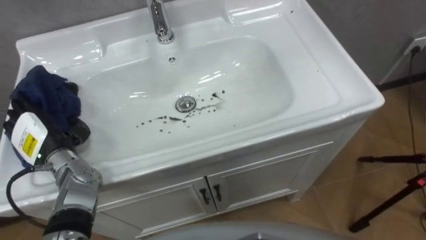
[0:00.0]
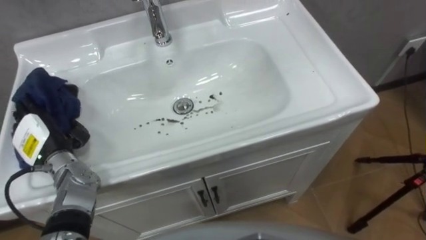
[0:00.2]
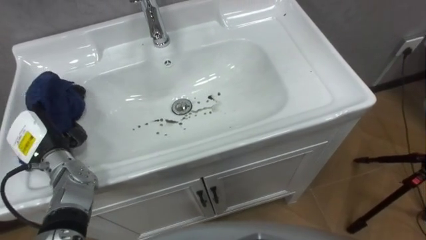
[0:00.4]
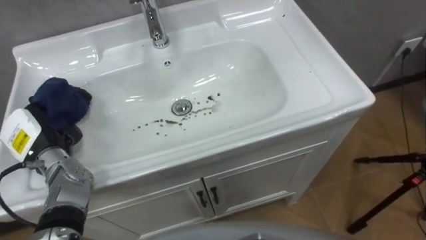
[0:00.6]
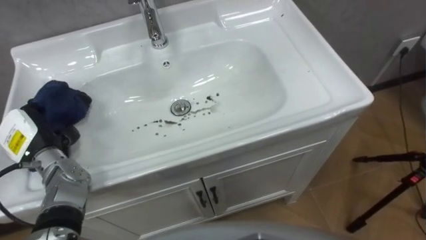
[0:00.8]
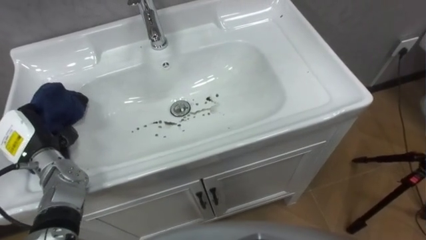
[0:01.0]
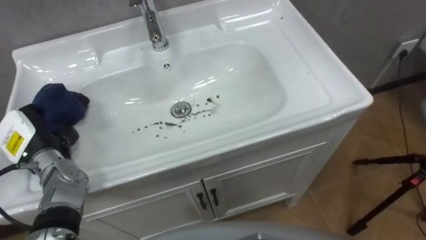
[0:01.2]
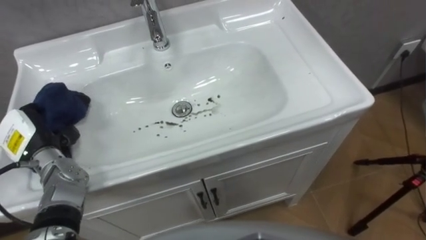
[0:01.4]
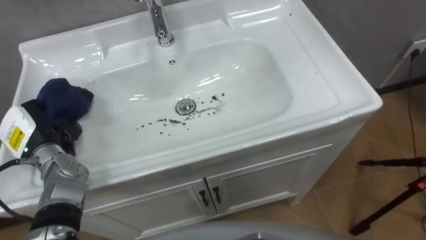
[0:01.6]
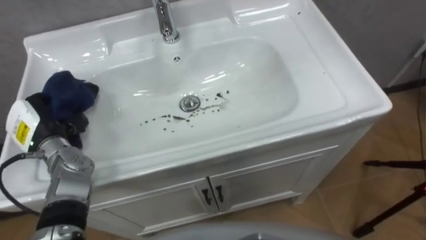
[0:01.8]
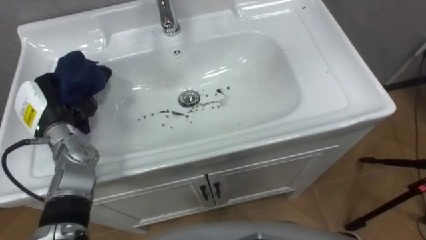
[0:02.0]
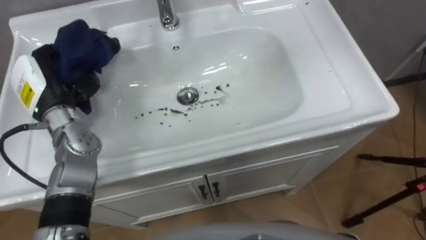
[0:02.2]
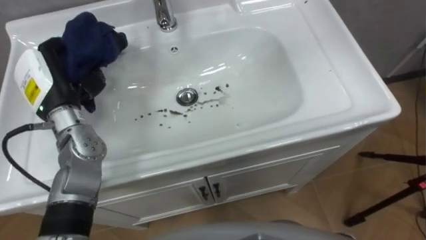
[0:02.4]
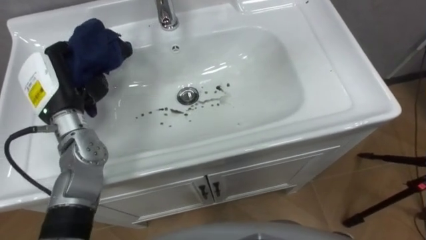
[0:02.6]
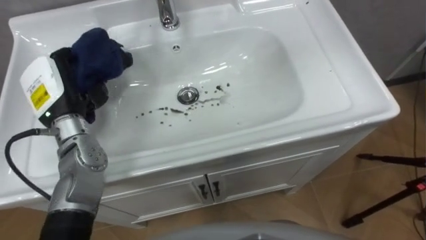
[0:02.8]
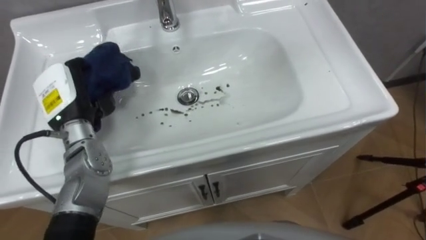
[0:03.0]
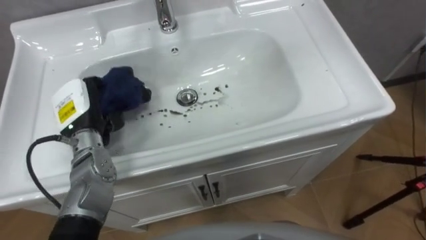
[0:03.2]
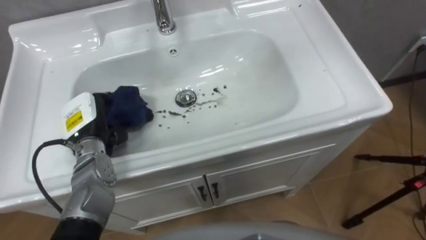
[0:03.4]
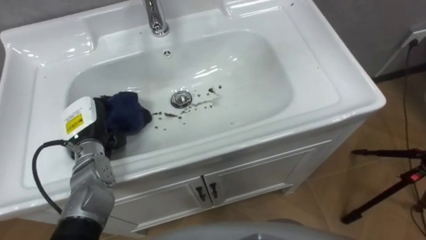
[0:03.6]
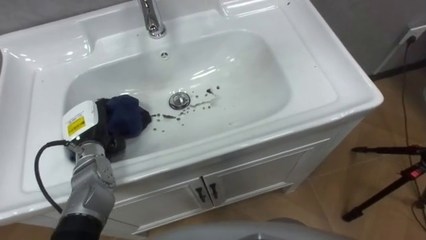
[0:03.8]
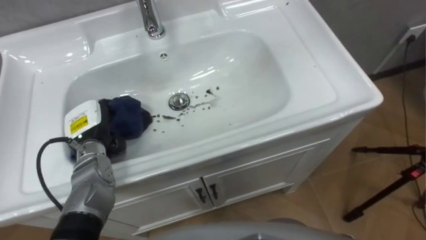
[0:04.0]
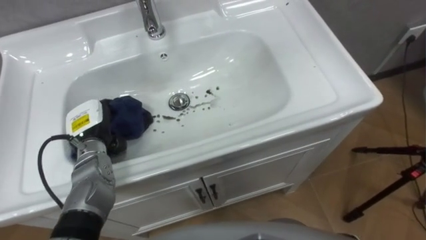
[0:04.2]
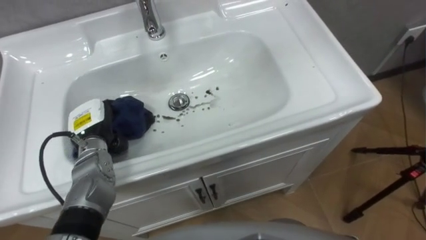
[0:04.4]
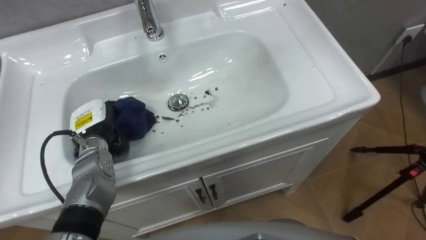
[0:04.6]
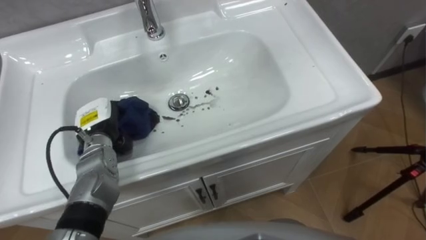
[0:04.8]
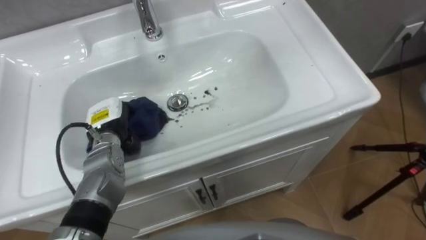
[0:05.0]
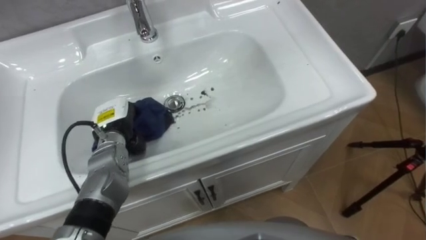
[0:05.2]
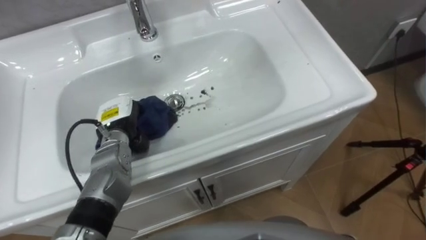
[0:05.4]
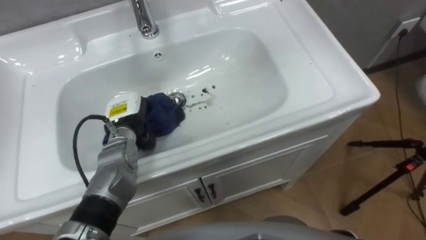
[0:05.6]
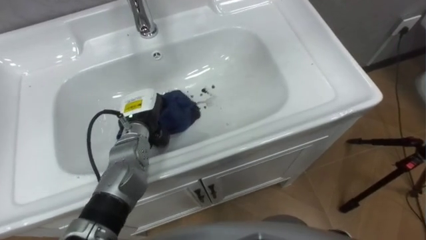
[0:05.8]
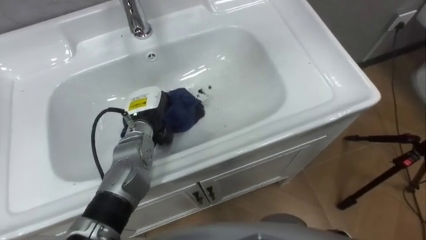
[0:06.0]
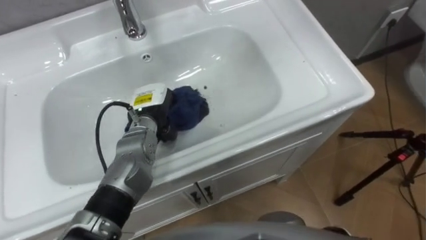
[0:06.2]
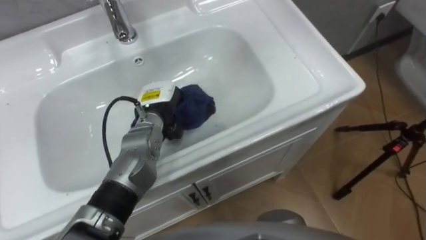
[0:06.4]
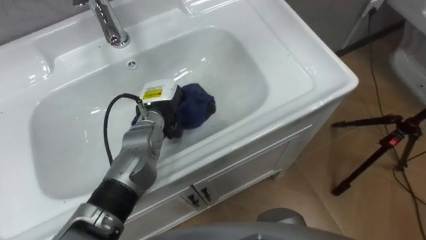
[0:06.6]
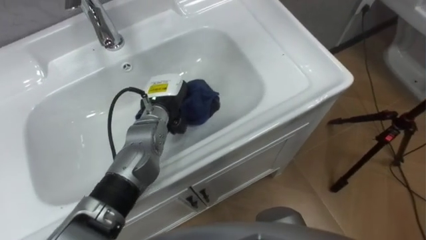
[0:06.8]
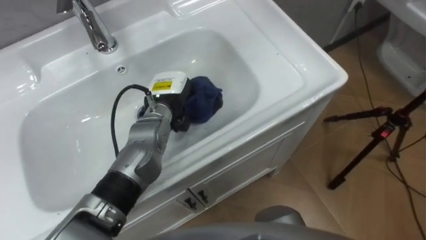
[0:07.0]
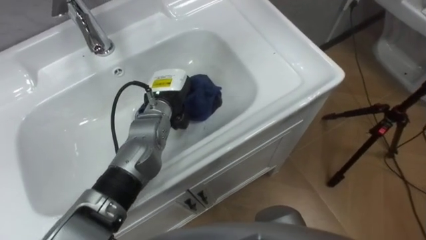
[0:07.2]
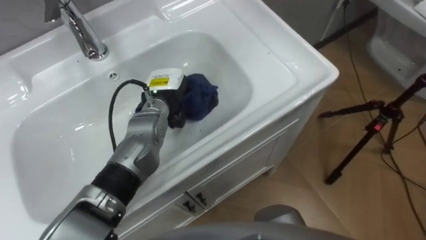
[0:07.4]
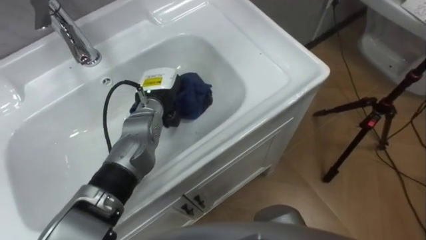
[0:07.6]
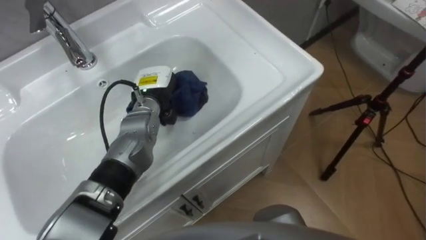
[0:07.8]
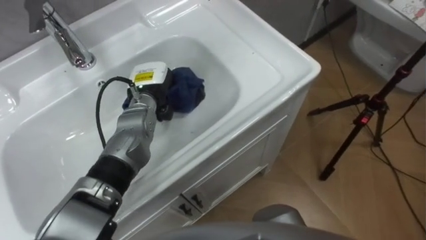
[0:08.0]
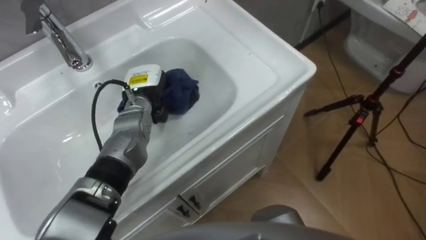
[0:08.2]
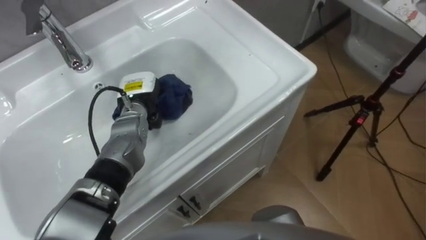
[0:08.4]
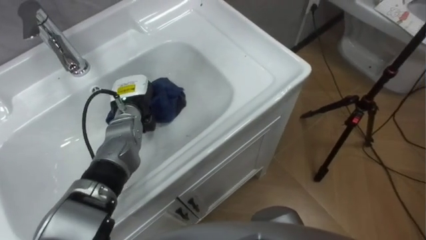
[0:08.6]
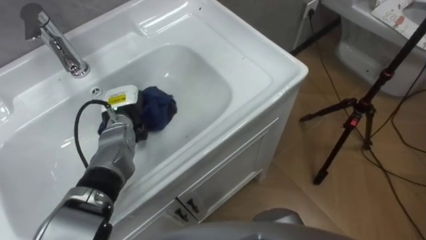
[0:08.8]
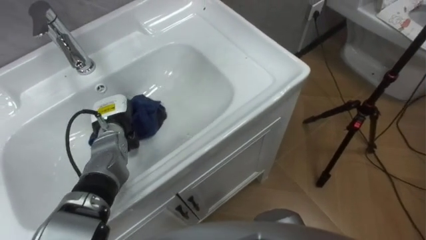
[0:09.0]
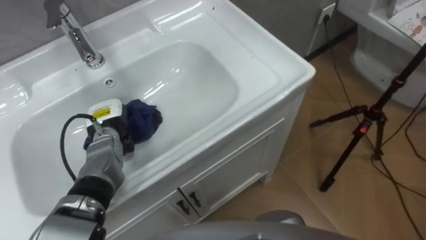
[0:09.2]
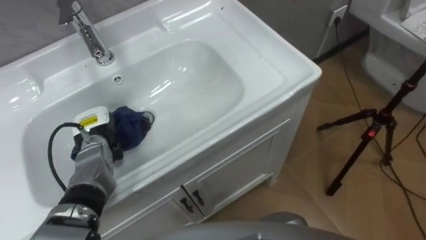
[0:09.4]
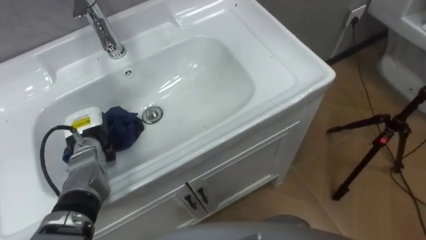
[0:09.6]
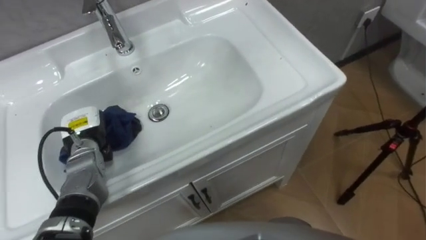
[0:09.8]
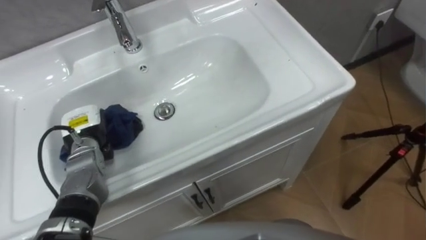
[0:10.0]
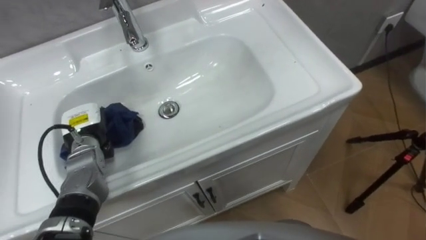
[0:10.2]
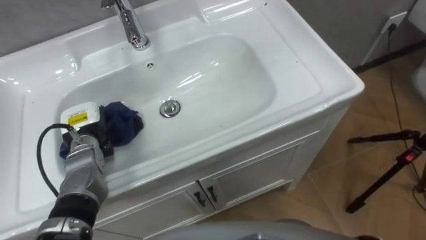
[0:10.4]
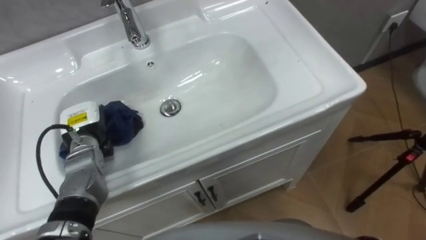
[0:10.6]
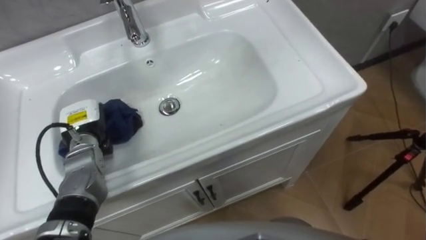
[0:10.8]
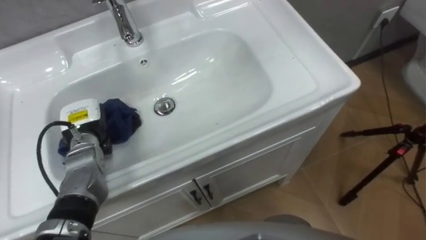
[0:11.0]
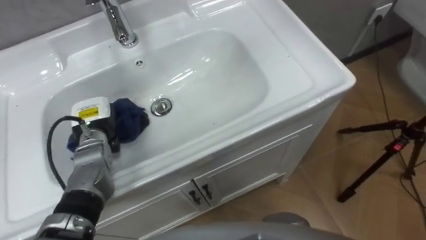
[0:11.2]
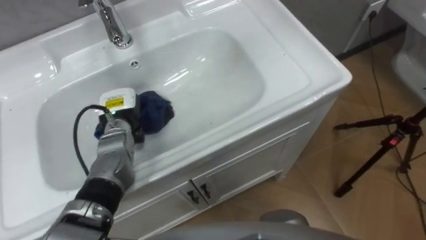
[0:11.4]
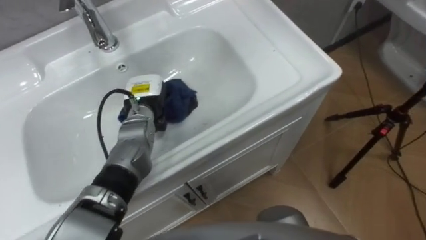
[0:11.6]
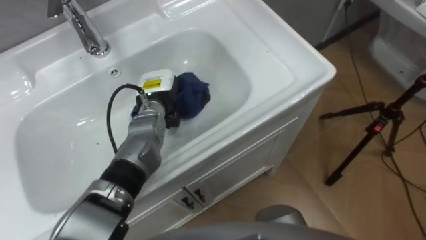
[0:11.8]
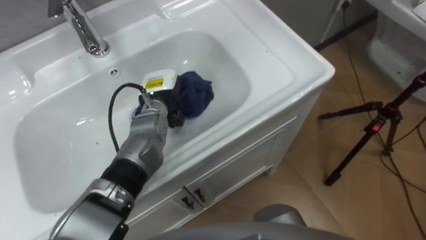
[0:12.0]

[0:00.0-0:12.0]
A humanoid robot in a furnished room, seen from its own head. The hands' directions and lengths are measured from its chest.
Task of the whole recording: Use the cloth on the right to wipe away the black stain in the sink.
0:00.0 to 0:01.6: The left hand closes.
0:01.6 to 0:03.0: The left hand shifts some 10 cm to the right and upward.
0:03.0 to 0:04.4: The left hand heads downward, covering roughly 10 cm.
0:04.4 to 0:06.0: The left hand travels to the right by approximately 10 cm.
0:06.0 to 0:07.6: The left hand shifts by roughly 5 cm.
0:07.6 to 0:09.0: The left hand travels to the left and downward by about 10 cm.
0:09.0 to 0:10.4: The left hand is displaced to the left by about 5 cm.
0:10.4 to 0:12.0: The left hand is displaced to the right and forward by approximately 20 cm.

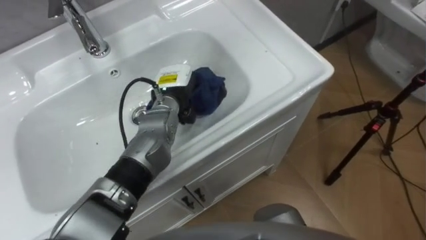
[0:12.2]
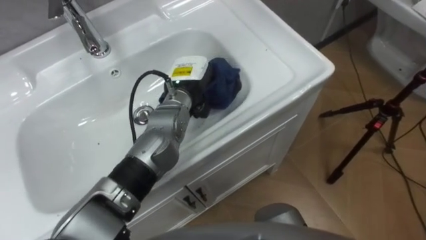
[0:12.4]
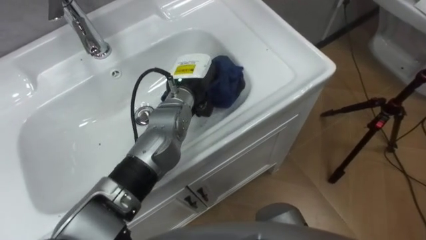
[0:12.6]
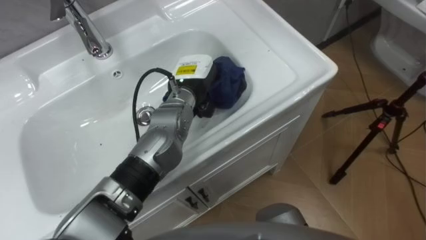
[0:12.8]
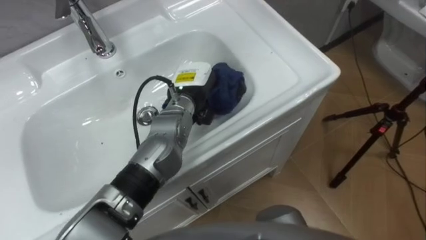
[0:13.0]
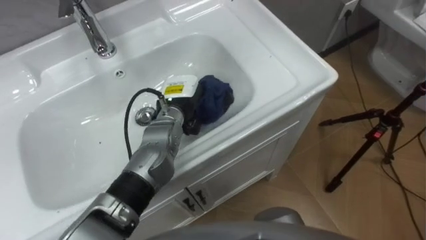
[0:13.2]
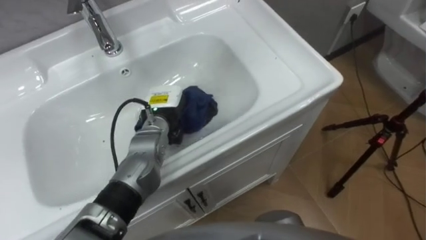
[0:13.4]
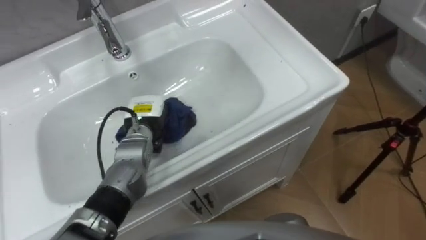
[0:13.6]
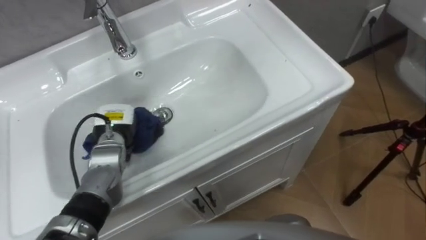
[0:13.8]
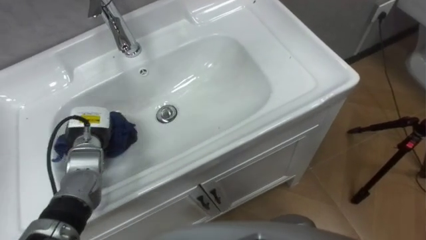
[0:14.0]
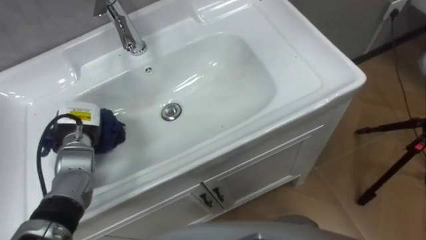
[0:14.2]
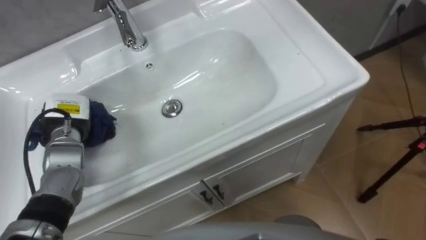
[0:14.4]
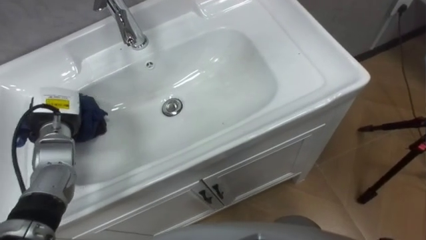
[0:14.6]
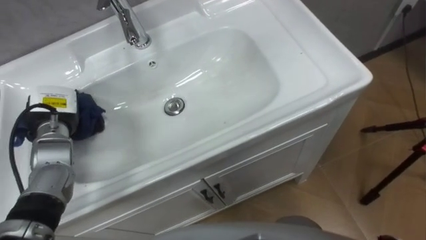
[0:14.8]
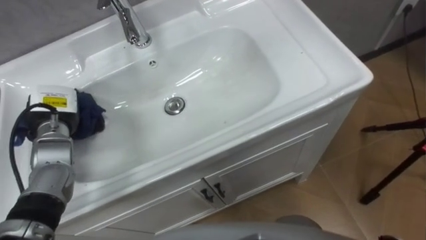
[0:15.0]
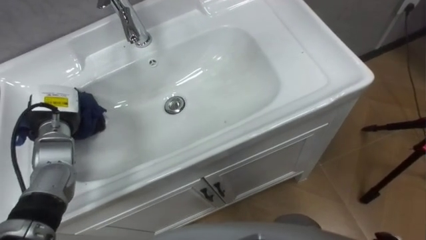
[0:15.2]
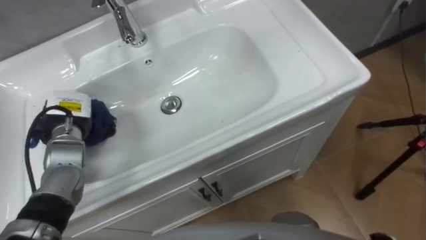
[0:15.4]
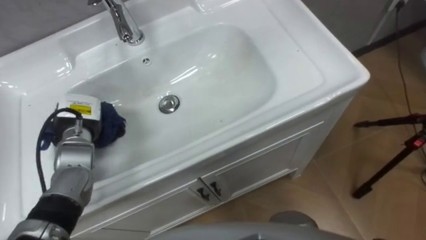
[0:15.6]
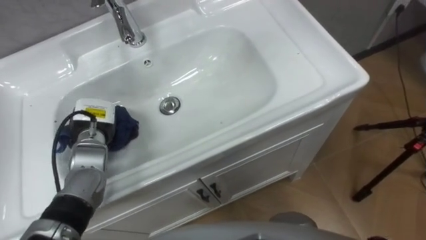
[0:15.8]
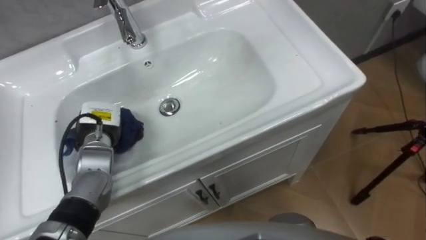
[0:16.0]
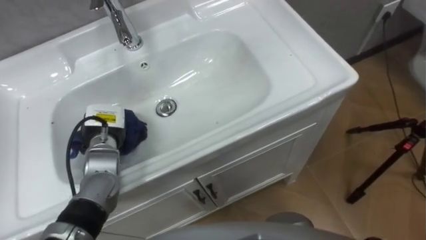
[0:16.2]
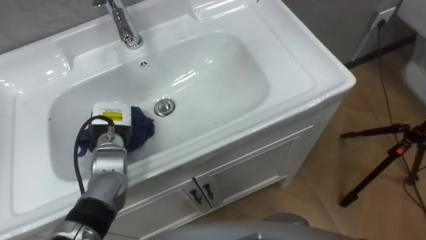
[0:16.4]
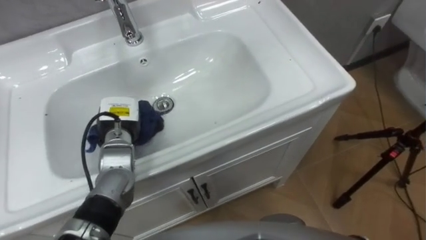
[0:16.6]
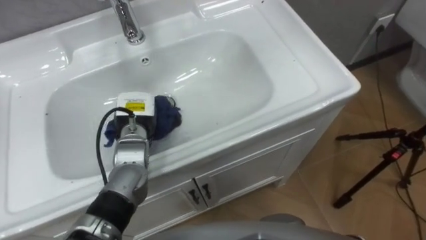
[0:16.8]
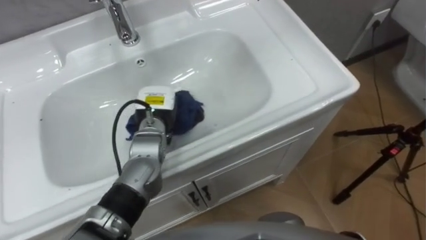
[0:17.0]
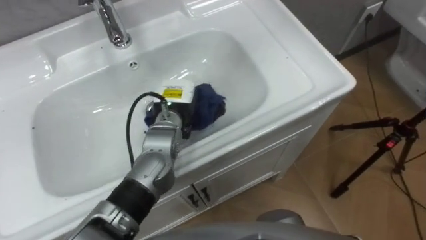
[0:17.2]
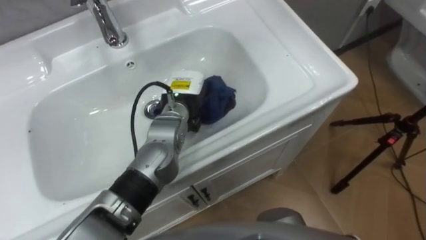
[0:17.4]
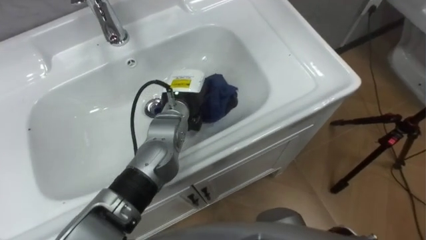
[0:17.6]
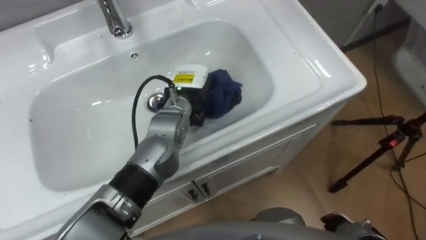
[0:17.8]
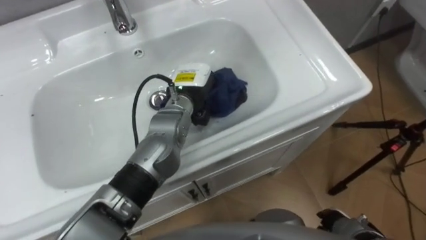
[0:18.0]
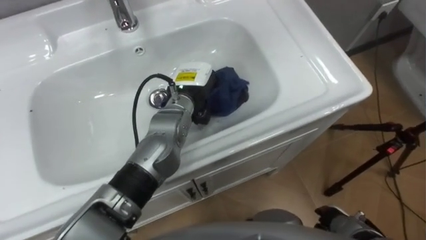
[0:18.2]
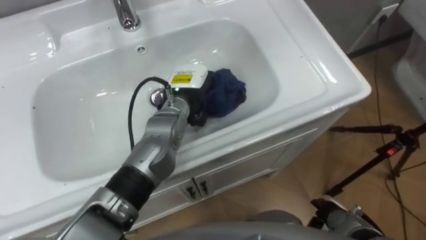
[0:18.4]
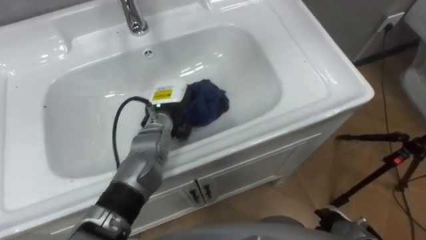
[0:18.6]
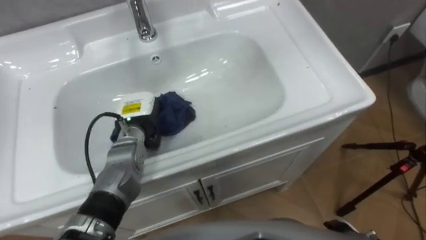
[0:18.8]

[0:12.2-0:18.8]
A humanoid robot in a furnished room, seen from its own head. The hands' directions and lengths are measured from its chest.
Task of the whole recording: Use the cloth on the right to wipe away the black stain in the sink.
0:12.2 to 0:13.8: The left hand moves to the left, backward and downward, about 15 cm.
0:13.8 to 0:15.4: The left hand moves to the left, approximately 10 cm.
0:15.4 to 0:17.2: The left hand moves to the right, some 20 cm.
0:17.2 to 0:18.8: The left hand goes roughly 10 cm to the left.
